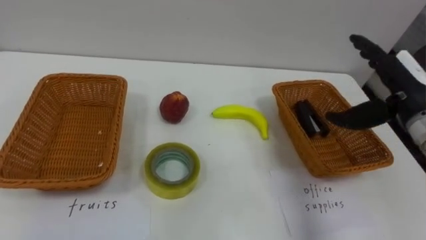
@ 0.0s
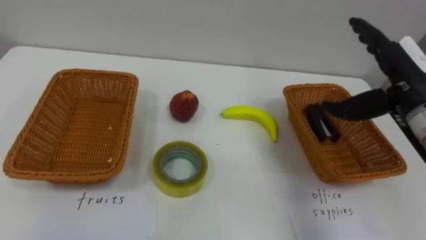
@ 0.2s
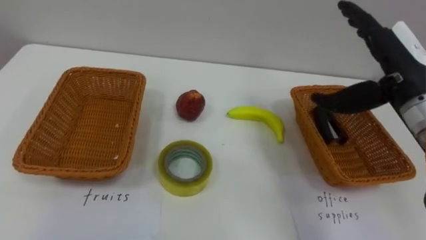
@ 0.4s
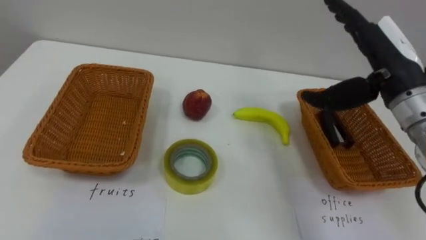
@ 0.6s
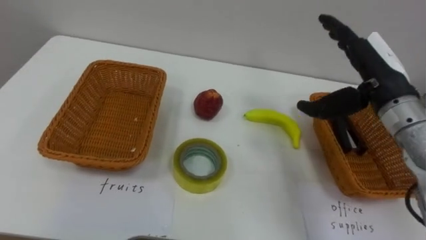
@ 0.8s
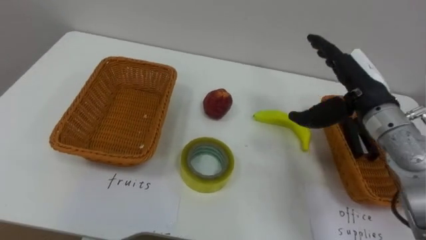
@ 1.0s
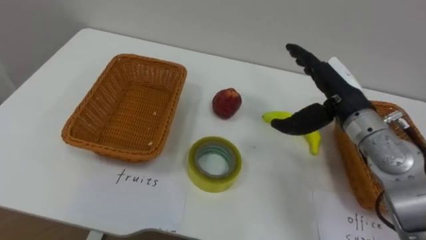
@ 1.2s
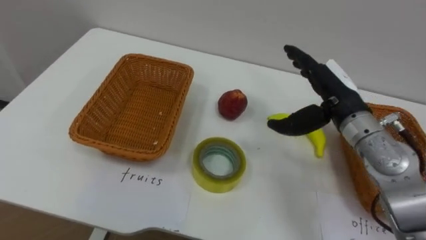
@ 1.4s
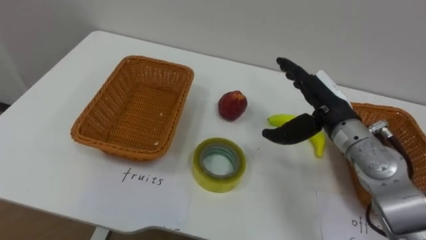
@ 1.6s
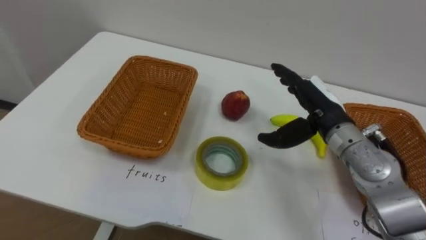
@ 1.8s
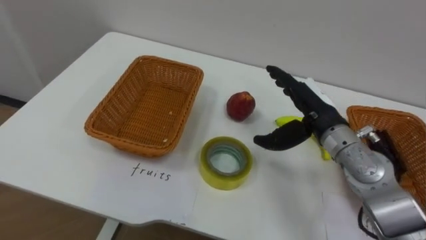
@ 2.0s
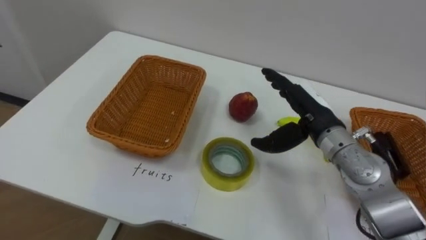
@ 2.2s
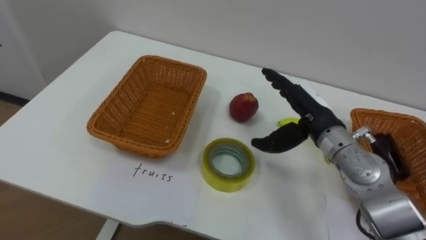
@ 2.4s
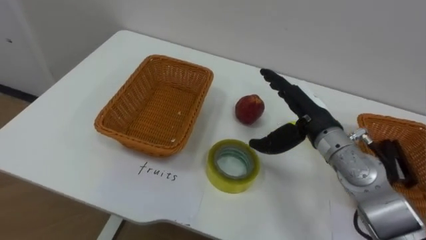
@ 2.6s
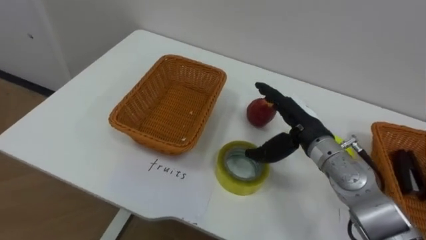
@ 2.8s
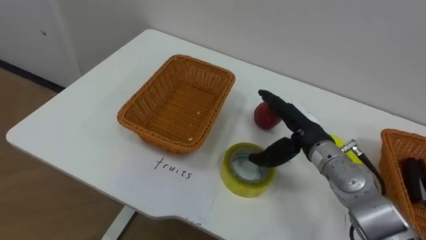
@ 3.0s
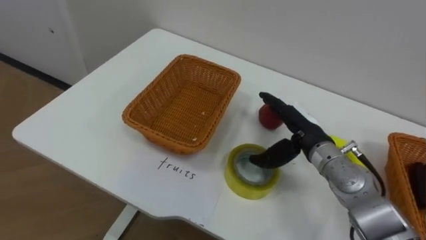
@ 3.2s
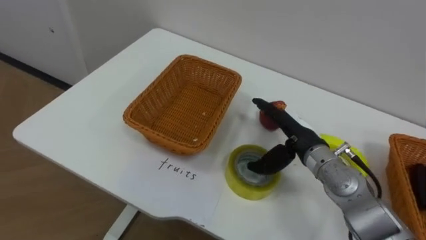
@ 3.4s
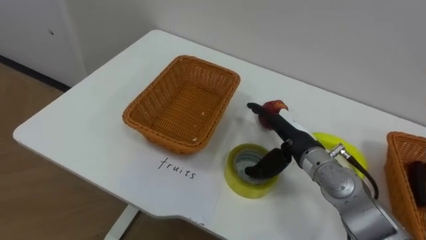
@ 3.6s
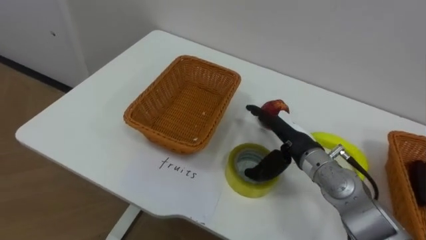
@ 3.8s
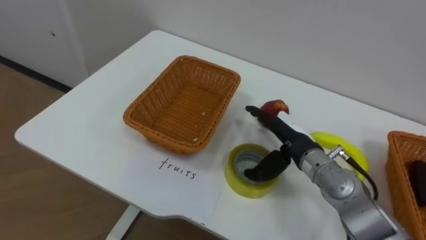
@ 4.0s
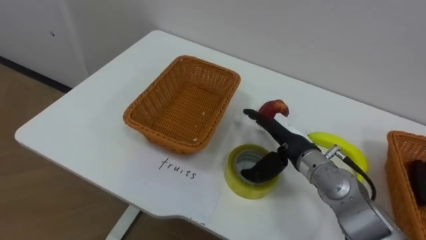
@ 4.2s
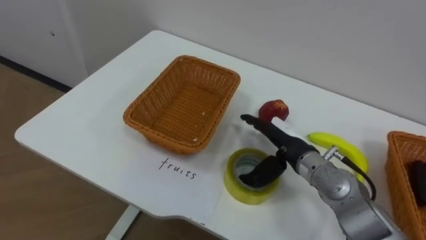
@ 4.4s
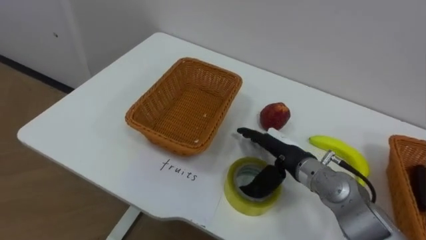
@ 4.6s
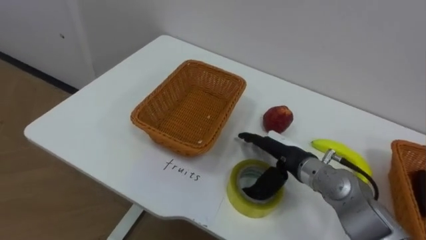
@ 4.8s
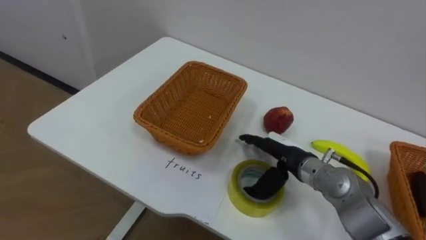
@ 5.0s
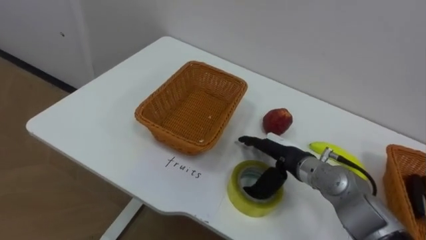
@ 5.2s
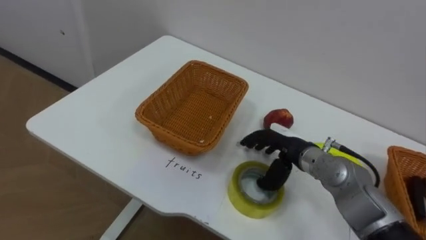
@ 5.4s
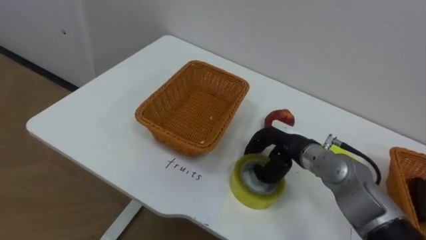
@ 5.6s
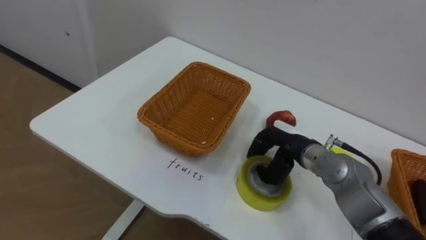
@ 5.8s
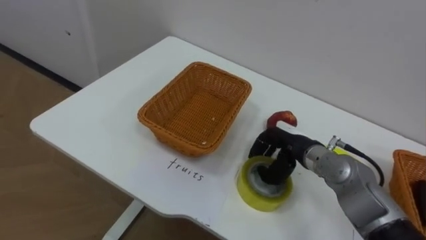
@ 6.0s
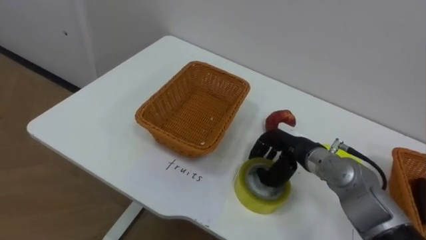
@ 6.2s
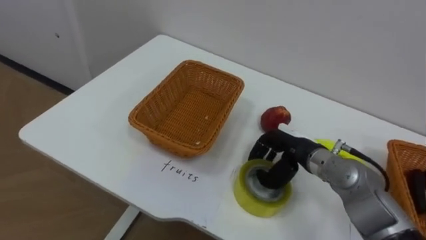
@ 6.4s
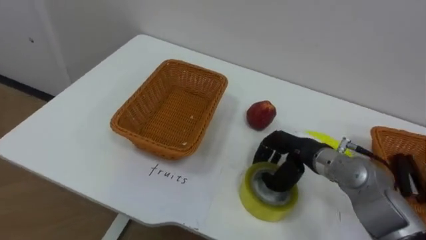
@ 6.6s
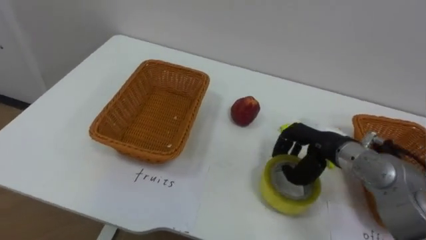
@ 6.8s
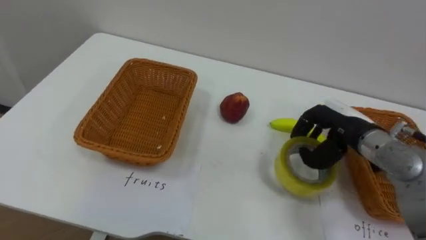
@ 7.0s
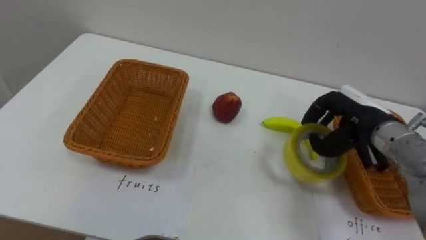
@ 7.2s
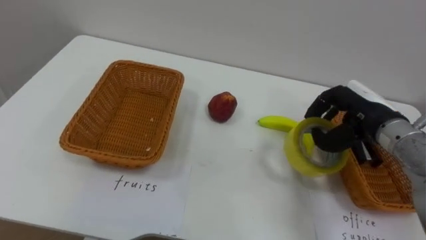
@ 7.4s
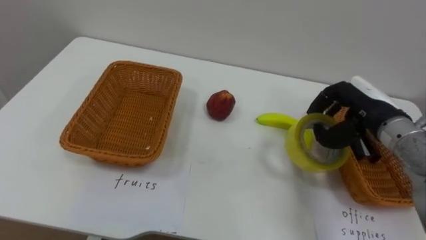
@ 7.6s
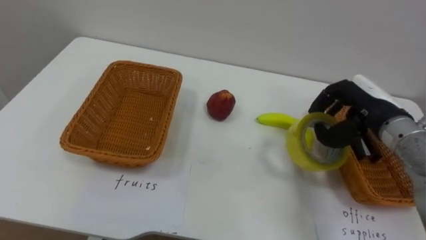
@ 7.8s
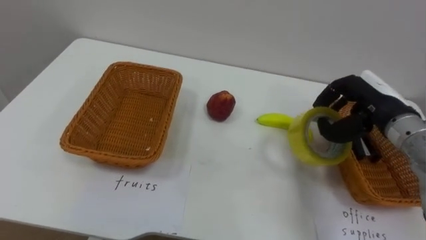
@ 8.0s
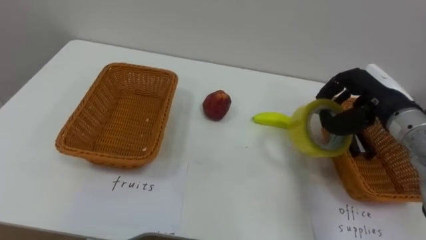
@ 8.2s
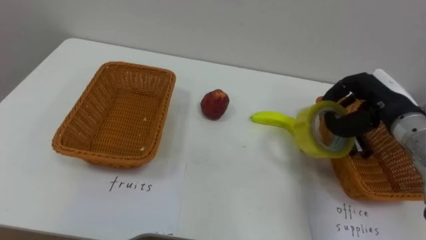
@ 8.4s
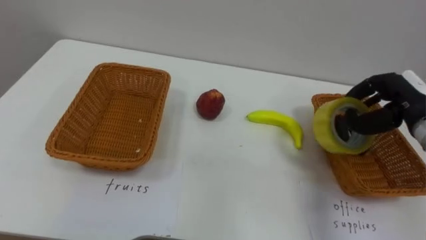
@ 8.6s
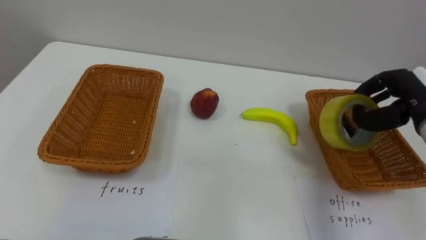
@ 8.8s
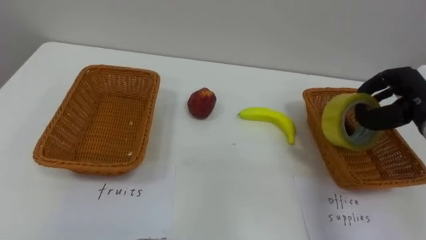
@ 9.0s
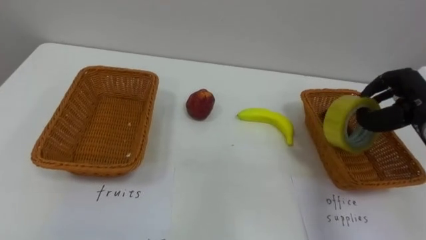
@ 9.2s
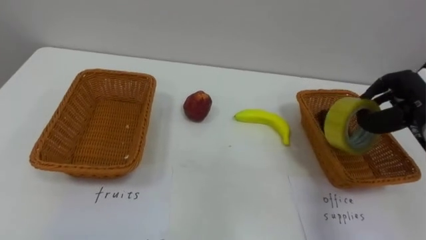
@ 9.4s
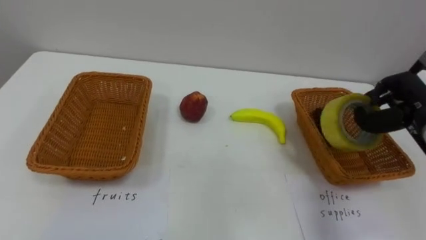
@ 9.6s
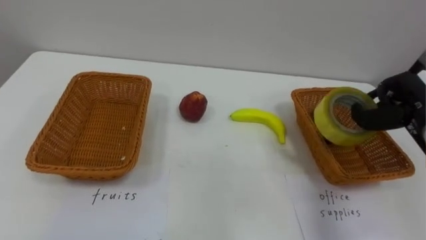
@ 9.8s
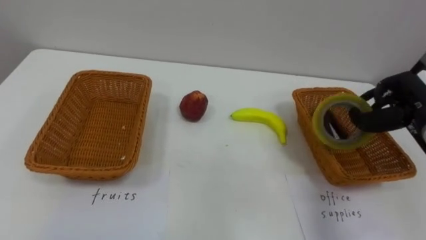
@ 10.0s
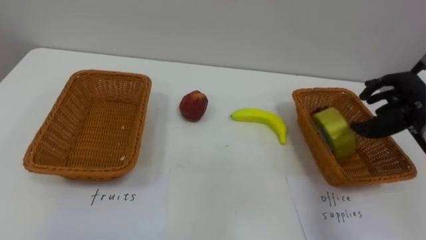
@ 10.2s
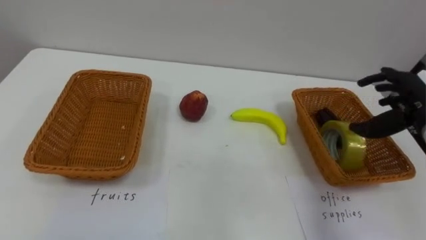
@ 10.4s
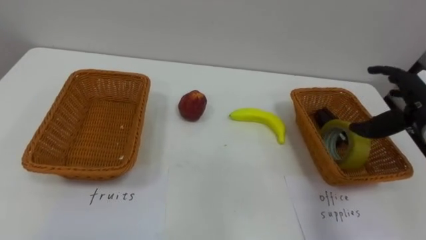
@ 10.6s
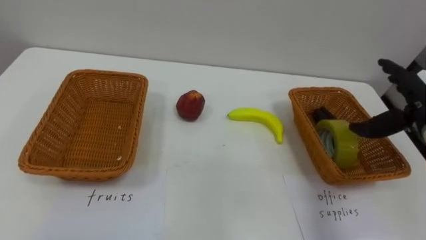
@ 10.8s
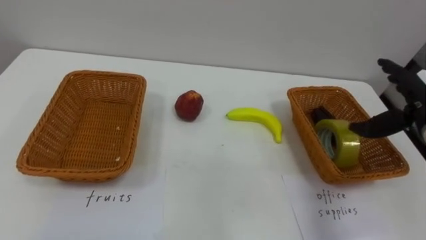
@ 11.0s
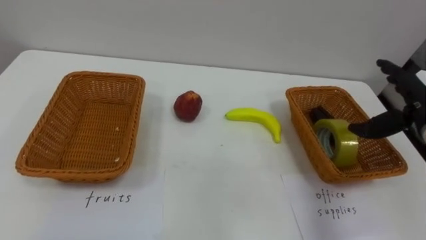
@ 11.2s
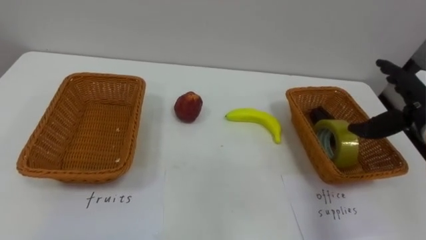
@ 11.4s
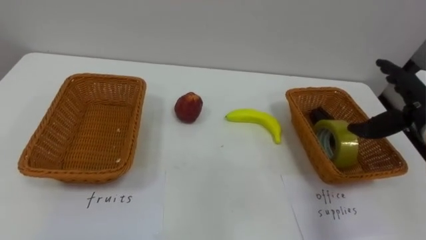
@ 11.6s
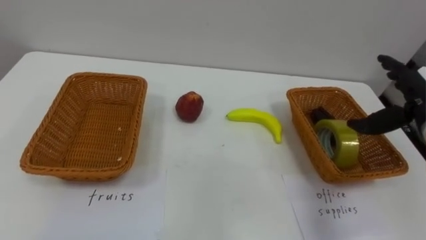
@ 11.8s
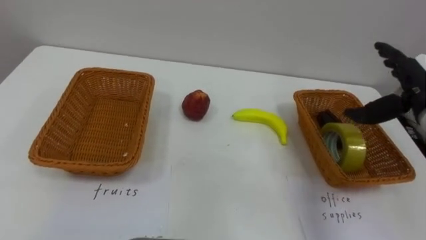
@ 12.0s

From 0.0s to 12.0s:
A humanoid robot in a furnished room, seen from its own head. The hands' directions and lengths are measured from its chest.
Task of the whole recording: Separate the items on the table and place them into the two baskets.
From 0.0s to 1.6s: The right hand travels to the left by roughly 10 cm.
From 1.6s to 3.0s: The right hand is displaced downward by roughly 5 cm.
From 4.4s to 6.0s: The right hand closes its fingers.
From 6.0s to 7.6s: The right hand is displaced upward and to the right by about 15 cm.
From 7.6s to 9.0s: The right hand moves to the right, about 10 cm.
From 9.0s to 10.4s: The right hand opens up.

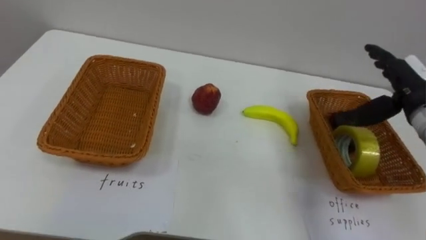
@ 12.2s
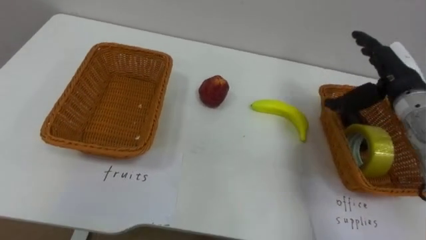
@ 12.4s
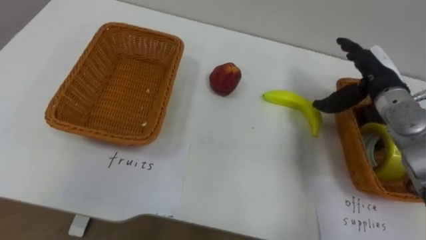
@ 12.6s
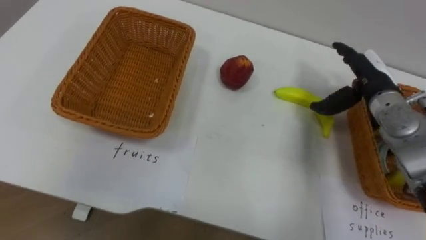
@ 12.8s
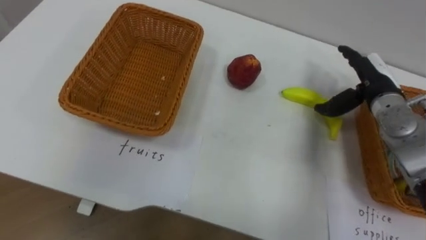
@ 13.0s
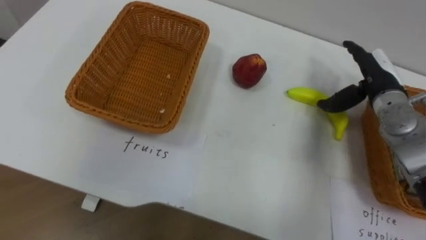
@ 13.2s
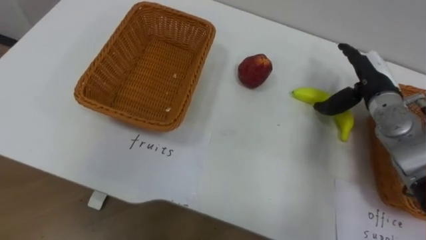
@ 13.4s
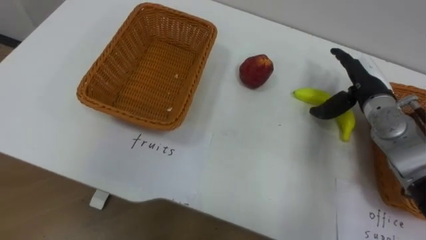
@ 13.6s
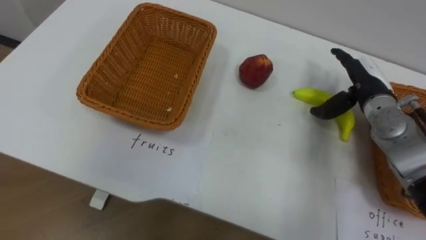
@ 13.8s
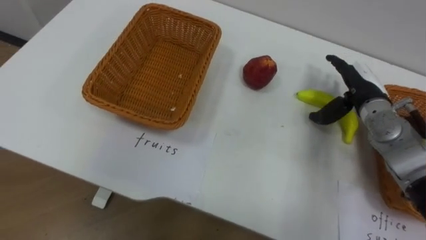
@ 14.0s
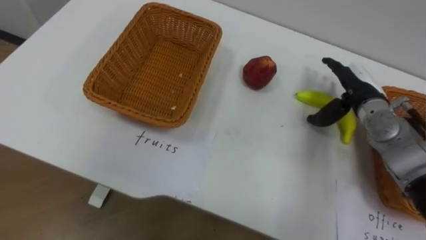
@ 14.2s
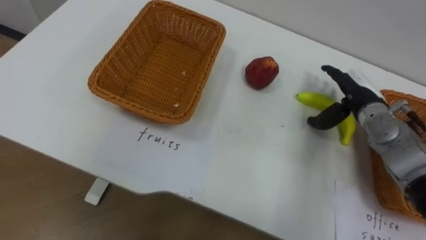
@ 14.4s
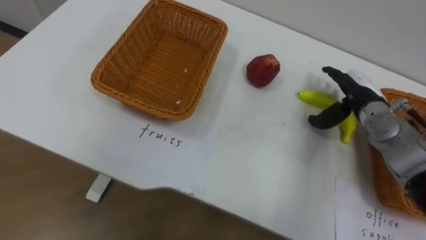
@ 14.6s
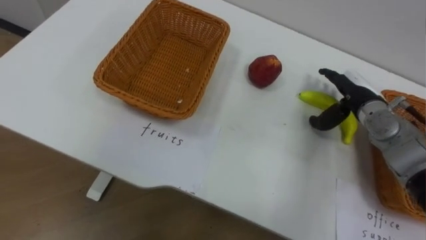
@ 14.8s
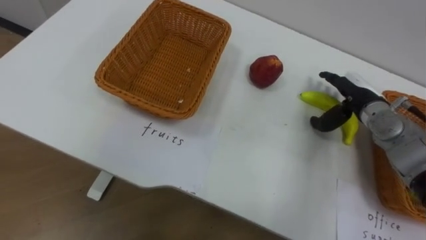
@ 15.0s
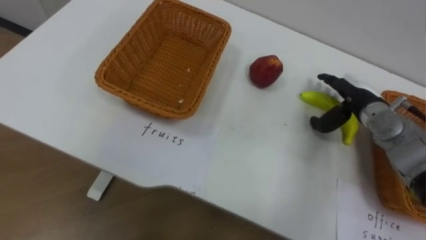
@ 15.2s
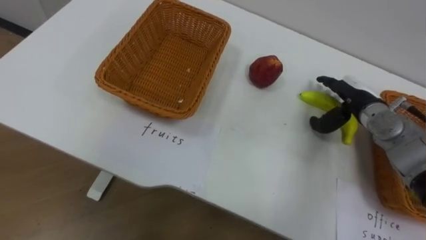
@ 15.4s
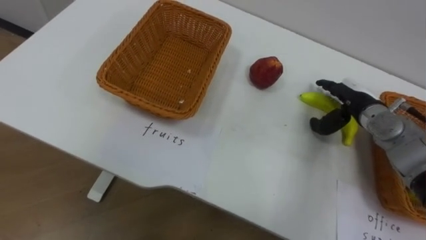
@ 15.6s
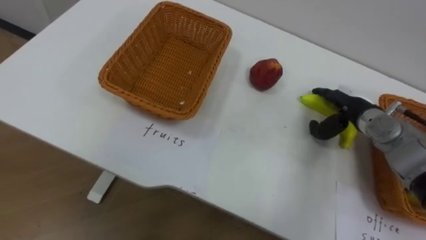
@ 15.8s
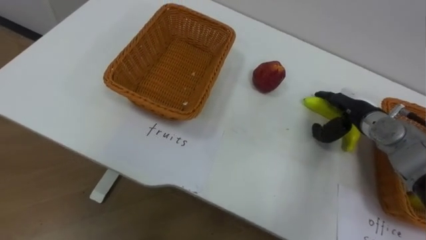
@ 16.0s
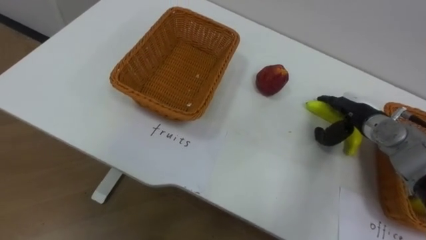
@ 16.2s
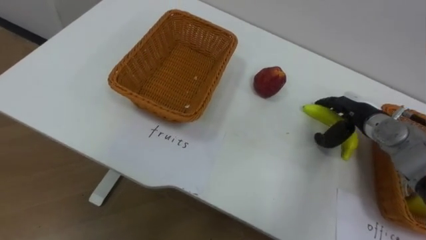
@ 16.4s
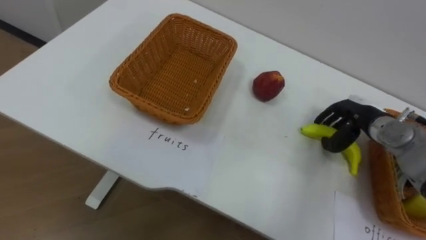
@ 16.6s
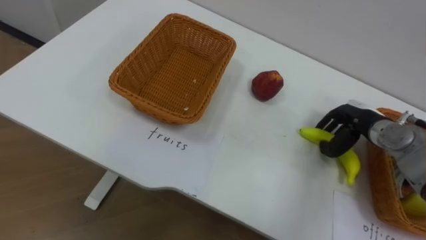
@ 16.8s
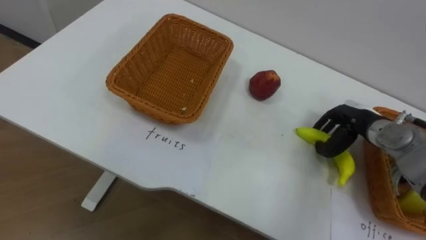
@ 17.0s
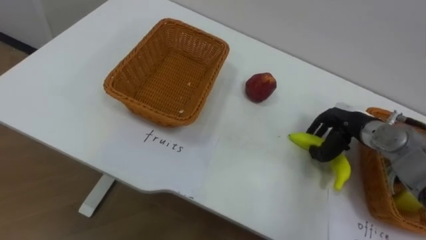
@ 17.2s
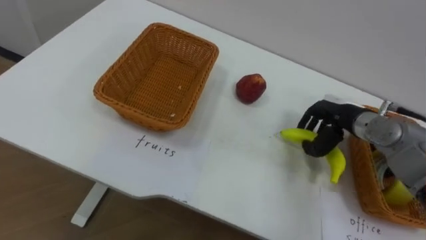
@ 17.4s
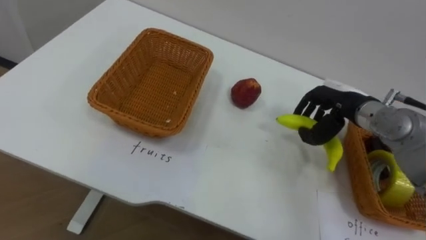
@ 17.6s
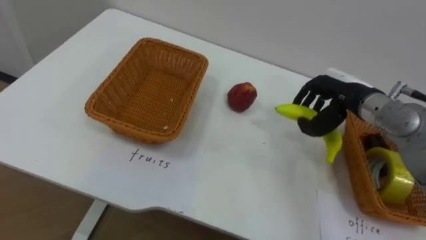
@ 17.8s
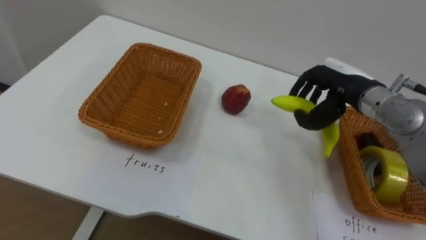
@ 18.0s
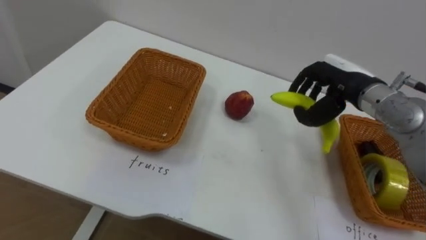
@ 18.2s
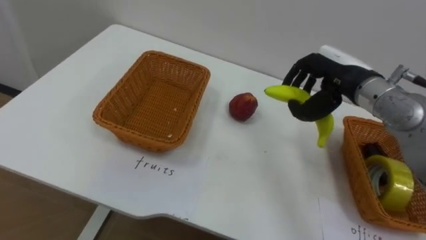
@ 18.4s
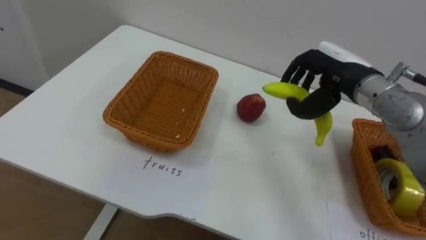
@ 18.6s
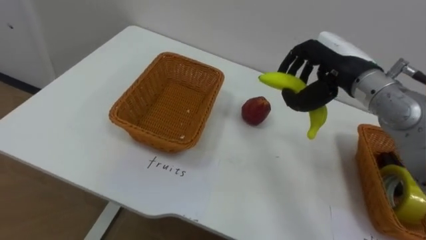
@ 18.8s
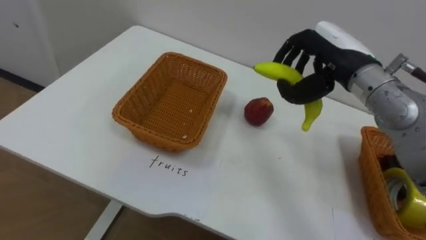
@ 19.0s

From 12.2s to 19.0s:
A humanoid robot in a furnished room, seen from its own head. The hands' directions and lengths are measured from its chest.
Task of the whole recording: Separate the items on the table and place them into the two baskets.
From 12.2s to 13.6s: The right hand changes place by roughly 10 cm.
From 16.2s to 17.6s: The right hand moves some 5 cm, and closes up.
From 17.6s to 19.0s: The right hand shifts roughly 10 cm upward.
